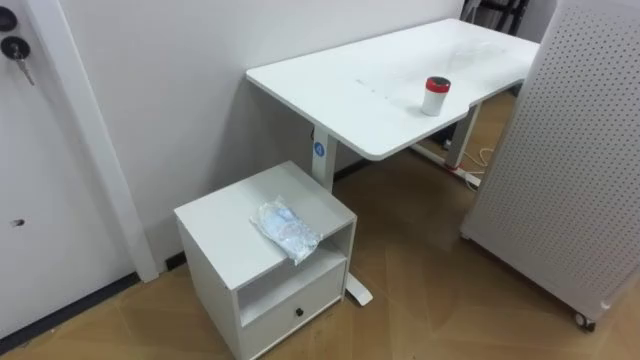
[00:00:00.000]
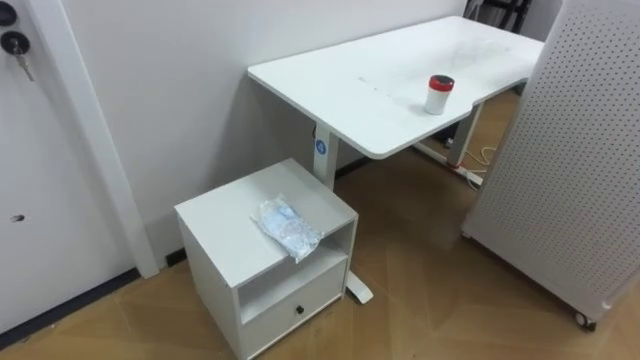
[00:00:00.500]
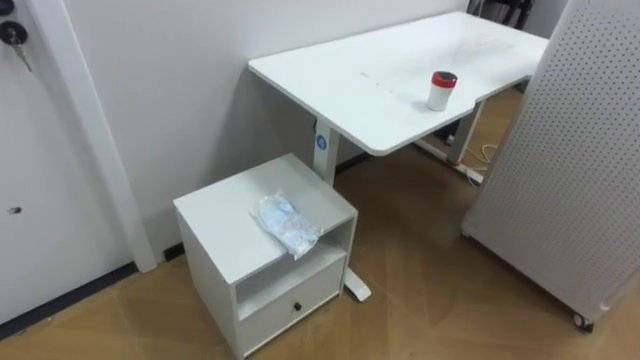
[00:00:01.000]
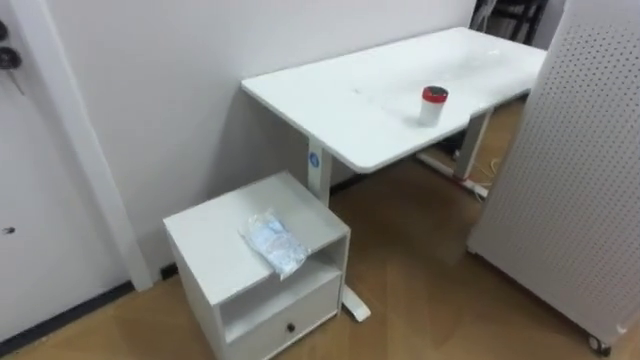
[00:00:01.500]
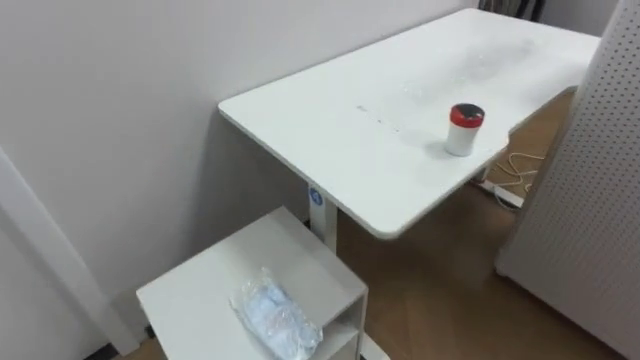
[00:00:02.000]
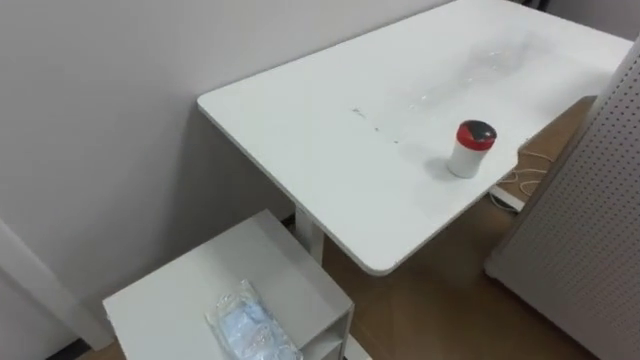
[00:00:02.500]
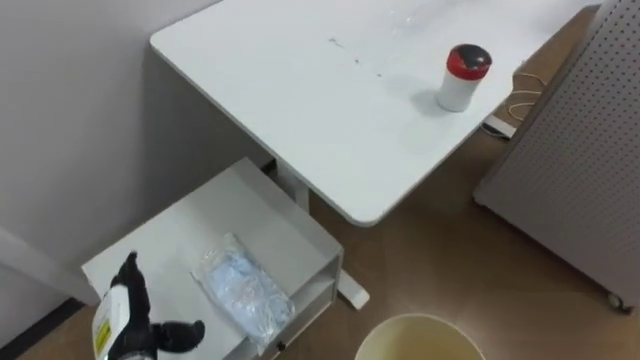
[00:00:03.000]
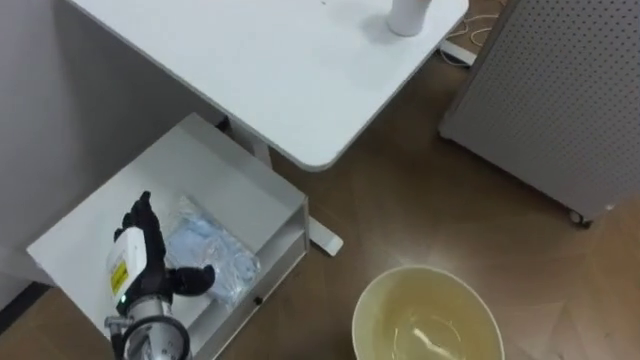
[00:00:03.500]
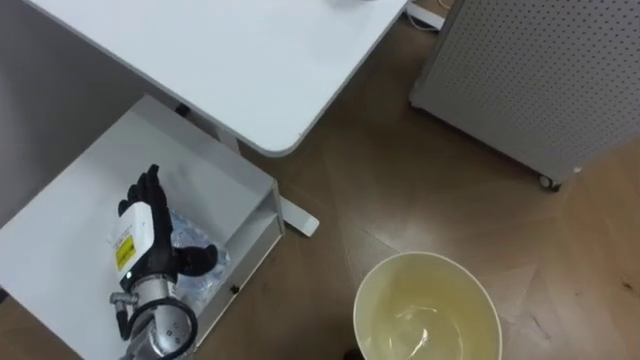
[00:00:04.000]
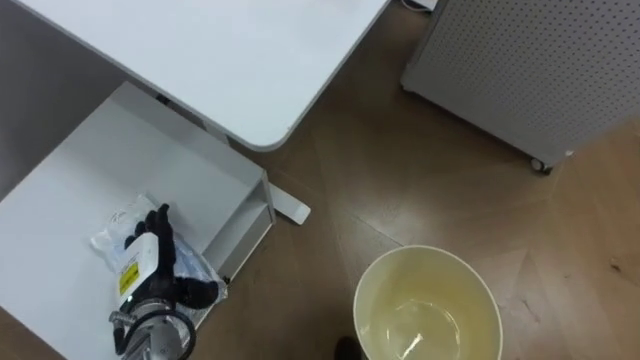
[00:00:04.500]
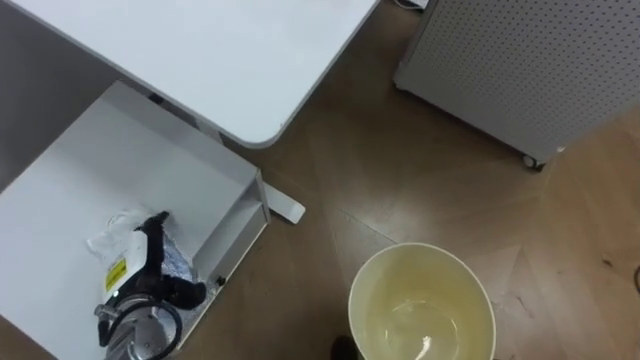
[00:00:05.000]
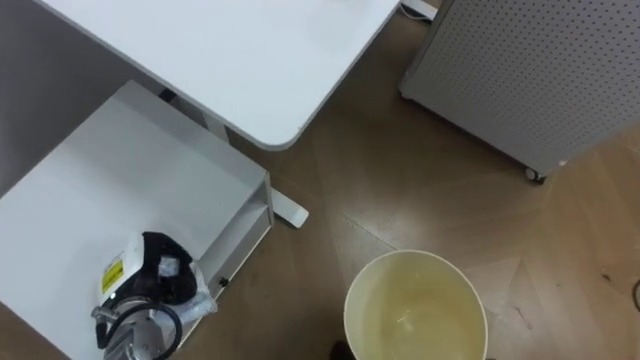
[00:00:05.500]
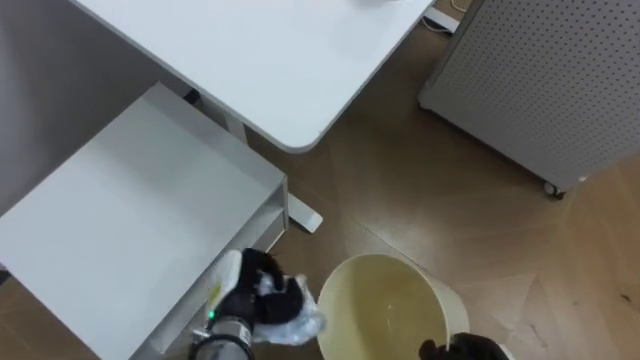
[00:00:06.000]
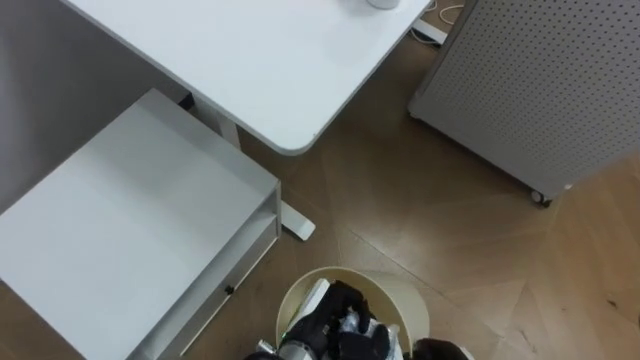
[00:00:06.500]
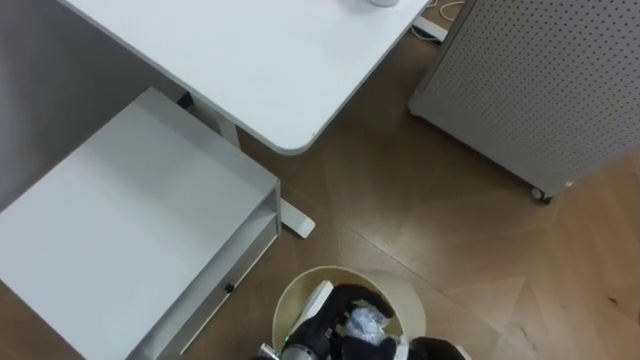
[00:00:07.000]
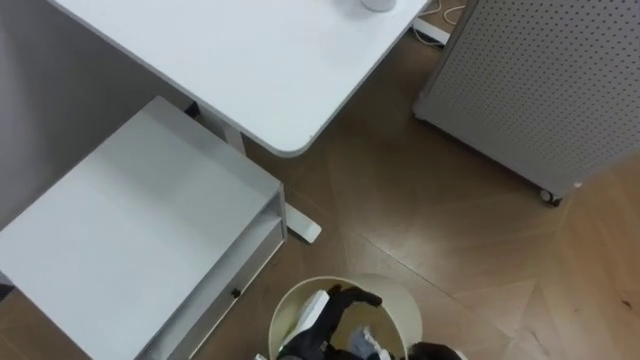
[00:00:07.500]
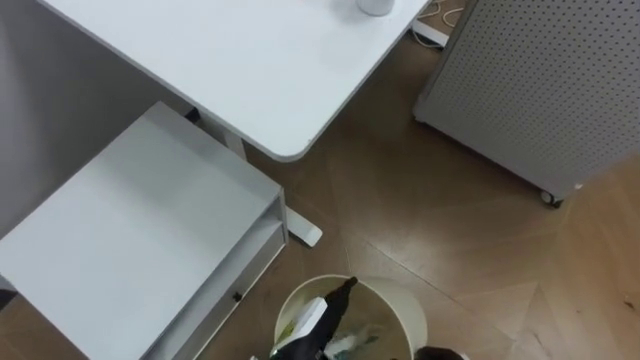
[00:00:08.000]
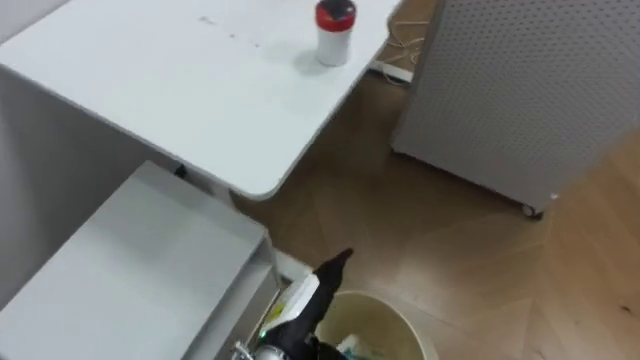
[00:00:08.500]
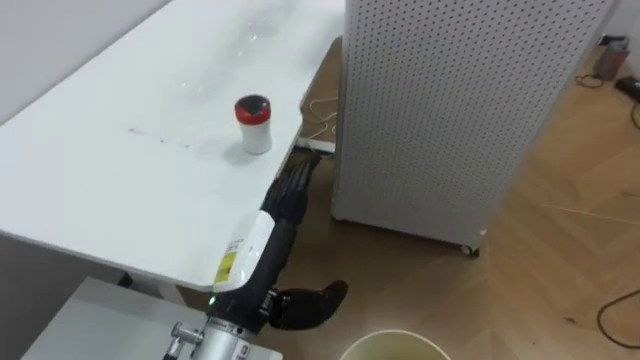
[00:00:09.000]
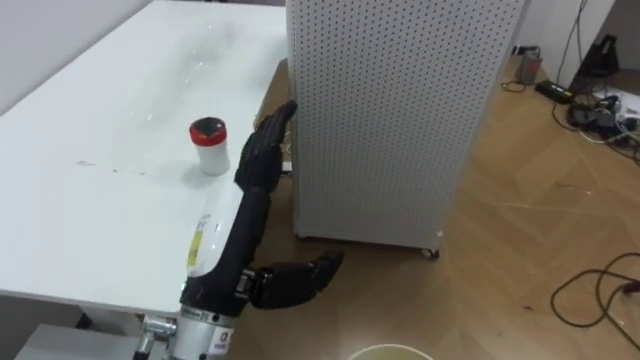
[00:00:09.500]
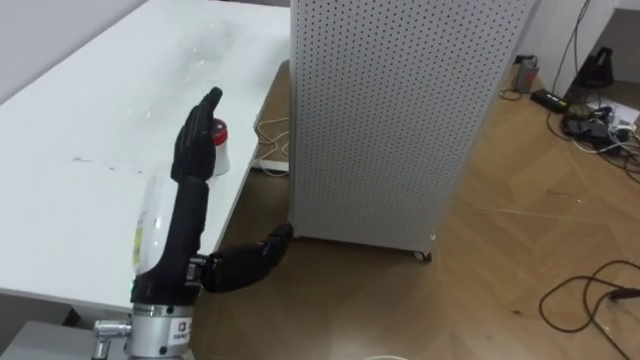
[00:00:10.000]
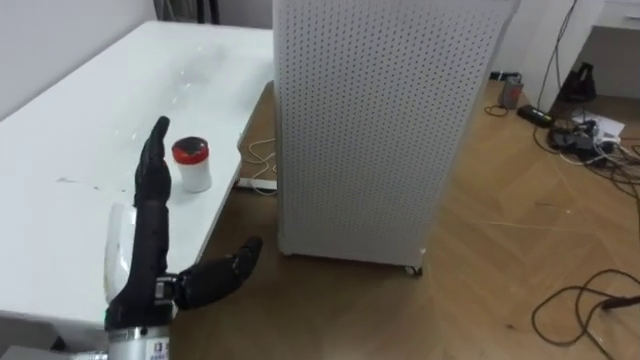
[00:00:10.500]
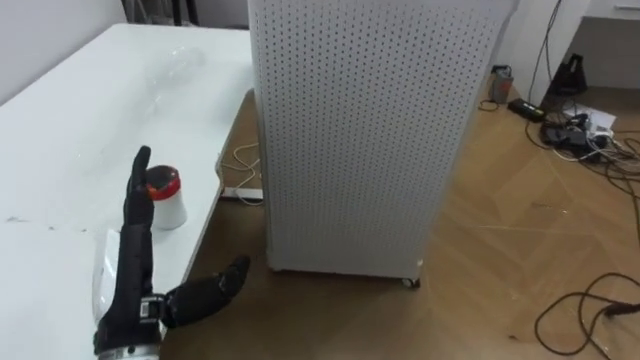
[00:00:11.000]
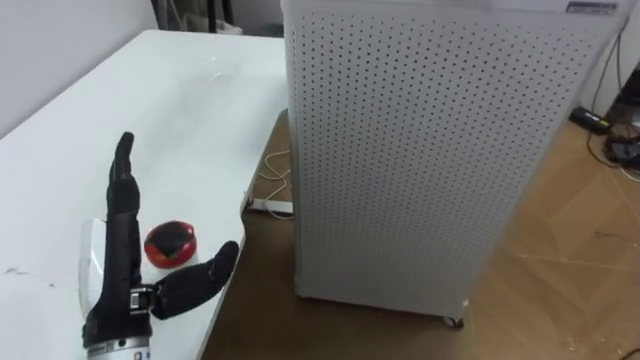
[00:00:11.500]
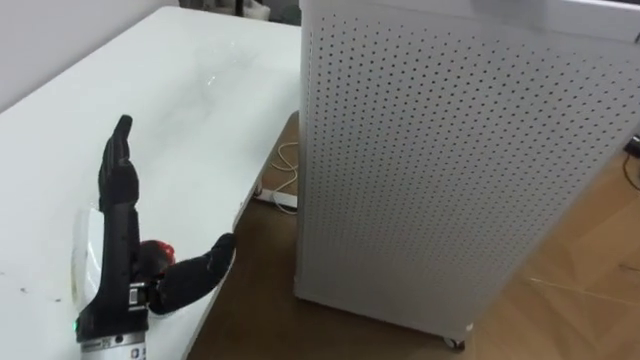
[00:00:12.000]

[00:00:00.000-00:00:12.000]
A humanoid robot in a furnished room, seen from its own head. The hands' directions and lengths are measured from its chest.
Task of the whole recording: Pick up the light blue package, the candy box, and the dark blue package separately, and put them into the trash can held in your right hand.
00:00:04.000 to 00:00:06.000: The left hand shifts roughly 10 cm to the right and downward, and closes its fingers.
00:00:06.000 to 00:00:08.000: The left hand moves to the right and backward, about 15 cm, and opens its fingers.
00:00:08.000 to 00:00:10.000: The robot's body swings about 35 degrees to its right. The left hand is displaced upward and to the left by approximately 25 cm.
00:00:10.000 to 00:00:12.000: The left hand moves to the left, approximately 5 cm.

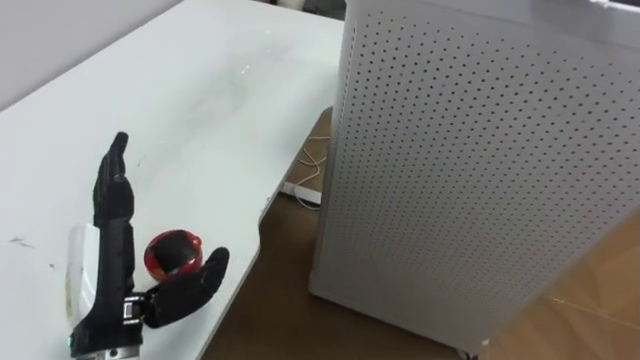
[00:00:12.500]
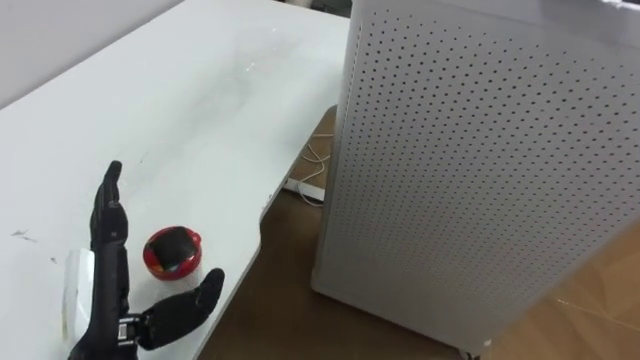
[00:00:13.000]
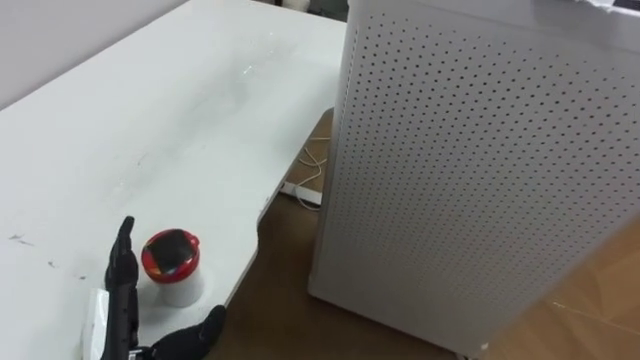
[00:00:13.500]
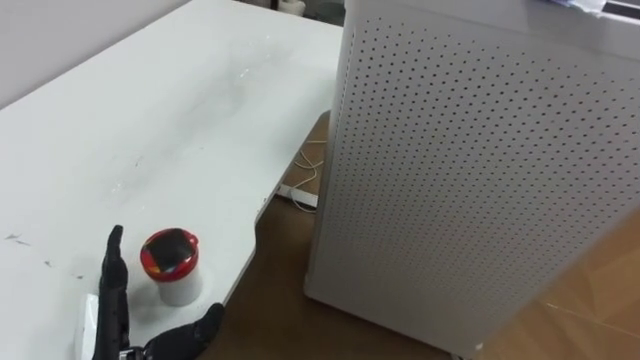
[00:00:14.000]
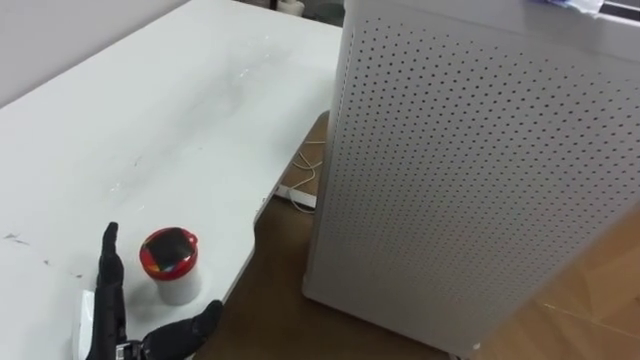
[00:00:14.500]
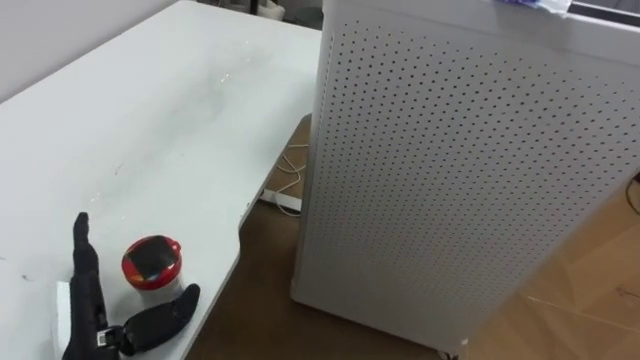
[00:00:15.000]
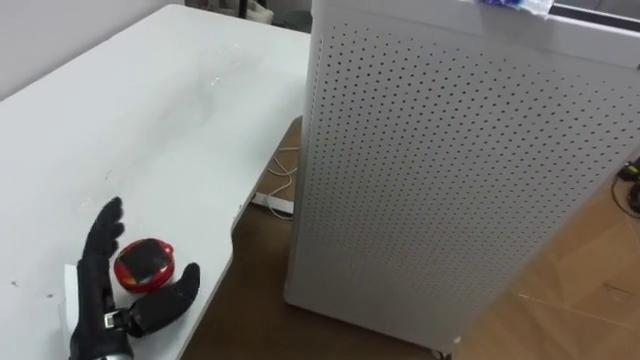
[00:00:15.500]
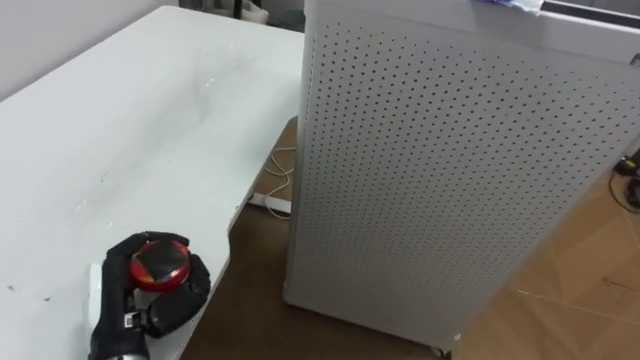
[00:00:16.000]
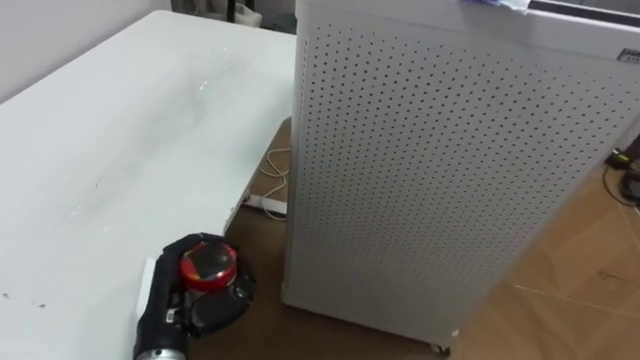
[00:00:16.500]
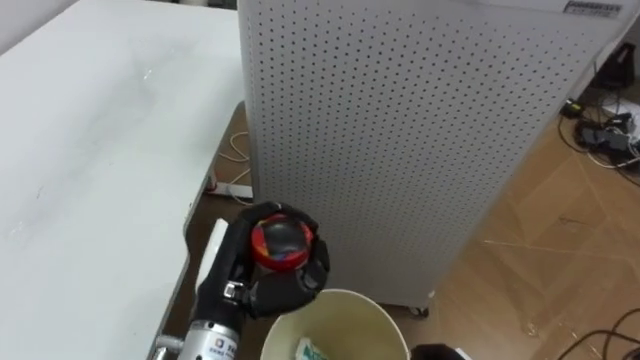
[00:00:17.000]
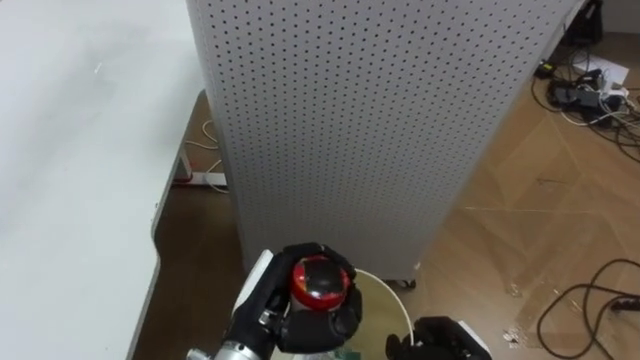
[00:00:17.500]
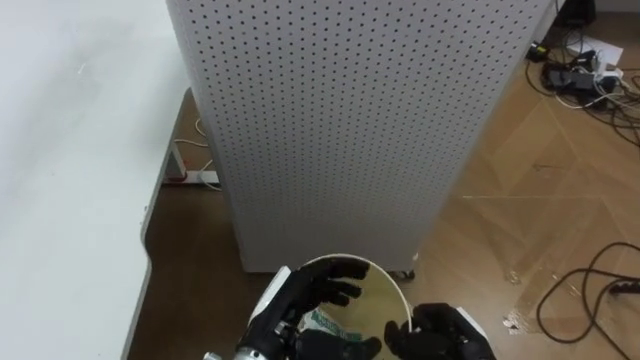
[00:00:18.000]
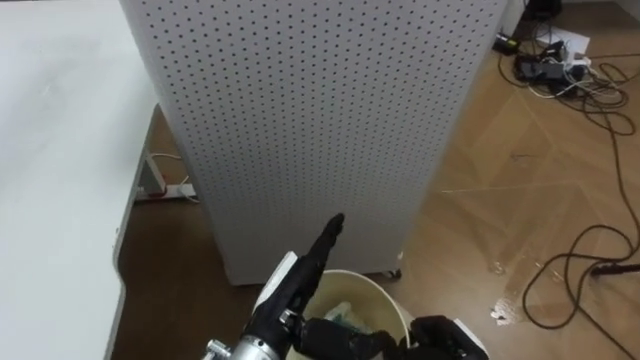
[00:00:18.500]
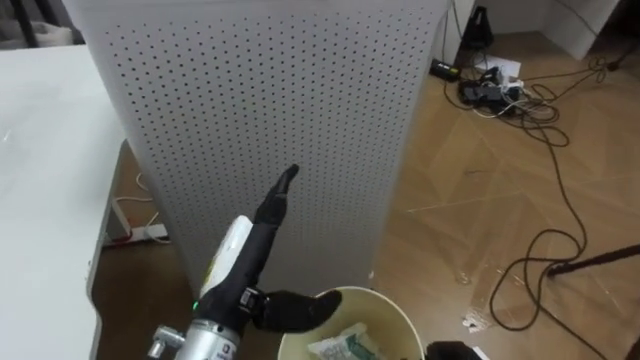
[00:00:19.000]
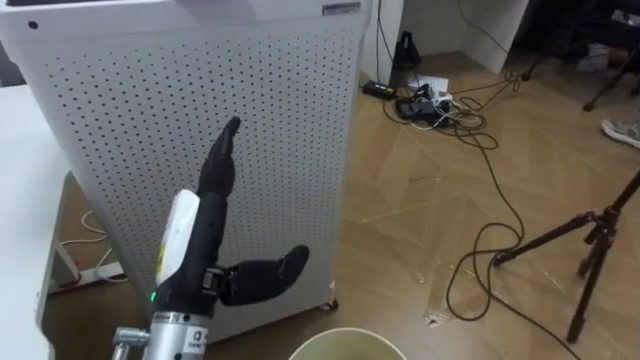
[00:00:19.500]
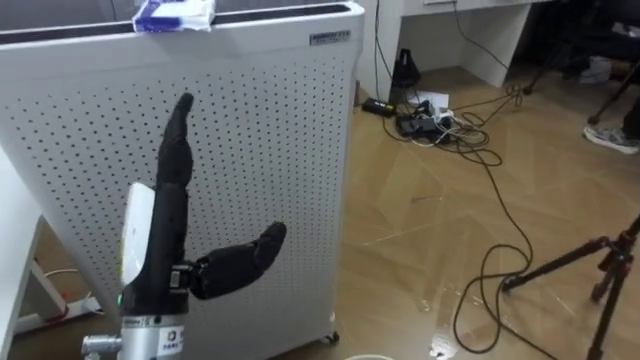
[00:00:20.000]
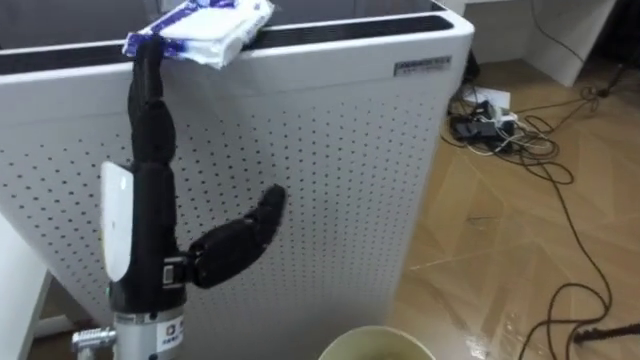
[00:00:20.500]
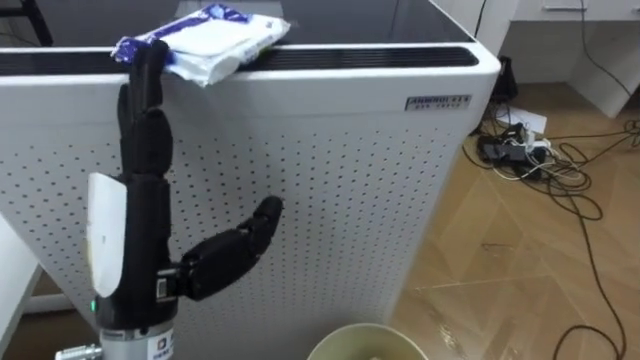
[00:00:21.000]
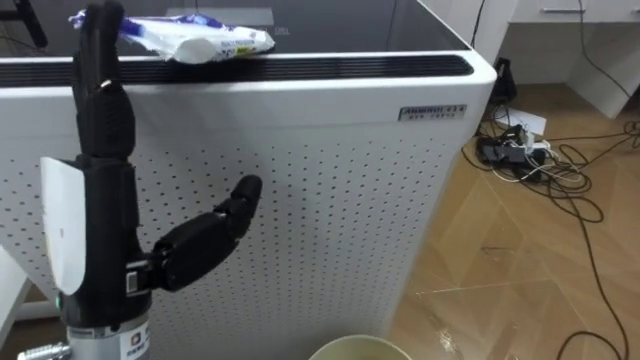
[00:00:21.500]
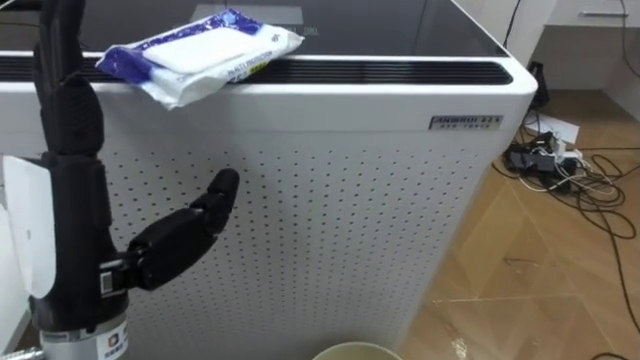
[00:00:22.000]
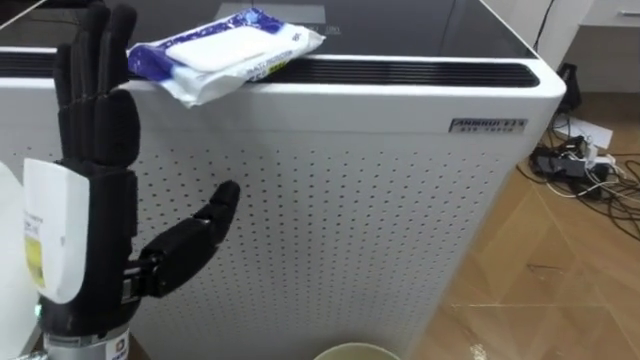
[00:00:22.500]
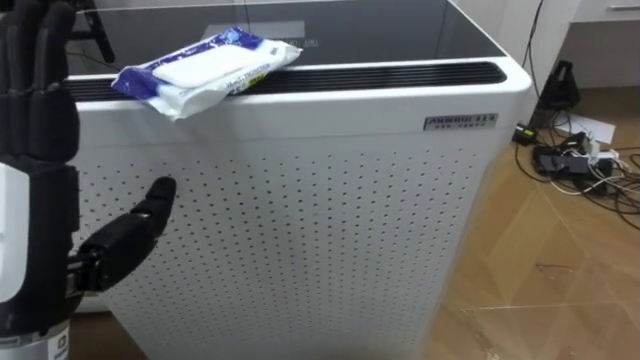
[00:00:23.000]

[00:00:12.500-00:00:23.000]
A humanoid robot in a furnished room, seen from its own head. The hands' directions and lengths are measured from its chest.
Task of the whole recording: Pick up the light blue package, the candy box, and the dark blue package separately, and put them into the trash can held in your right hand.
00:00:12.500 to 00:00:14.500: The left hand shifts some 10 cm downward.
00:00:14.500 to 00:00:16.500: The left hand moves some 5 cm, and closes its fingers.
00:00:16.500 to 00:00:19.000: The robot rotates roughly 20 degrees to its right. The left hand goes roughly 10 cm to the right and upward, and opens its fingers.
00:00:19.000 to 00:00:21.000: The left hand travels upward and to the left by roughly 15 cm.
00:00:21.000 to 00:00:23.000: The left hand travels to the left by roughly 5 cm.
